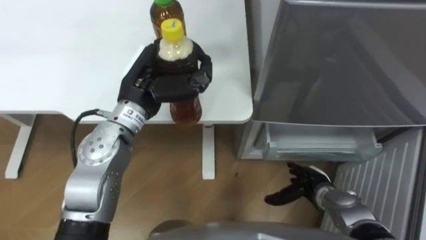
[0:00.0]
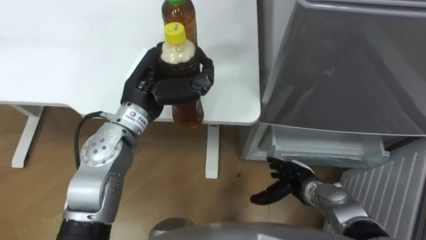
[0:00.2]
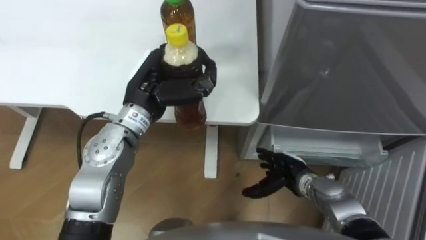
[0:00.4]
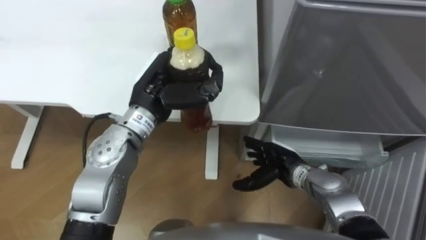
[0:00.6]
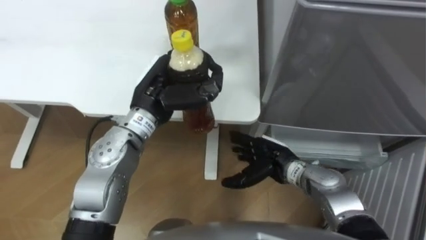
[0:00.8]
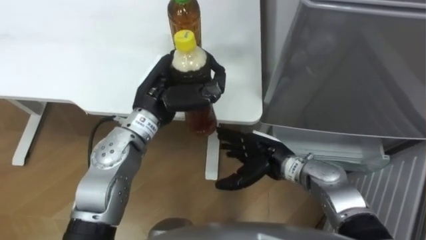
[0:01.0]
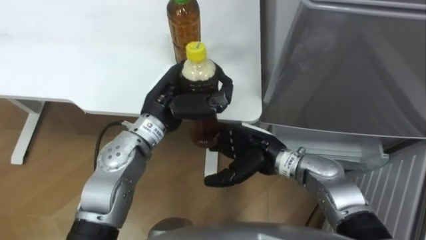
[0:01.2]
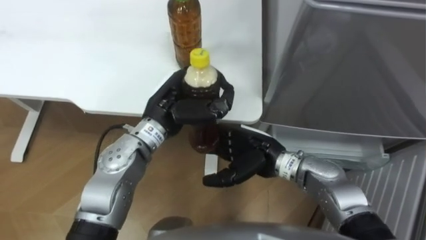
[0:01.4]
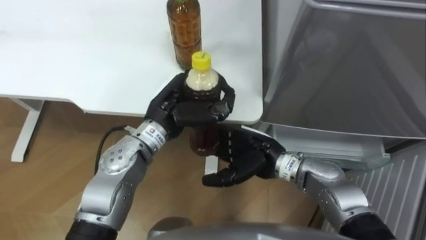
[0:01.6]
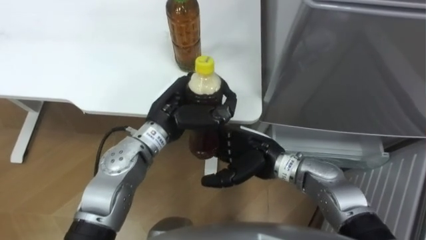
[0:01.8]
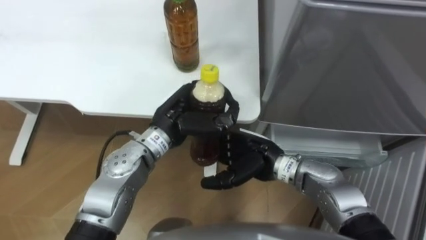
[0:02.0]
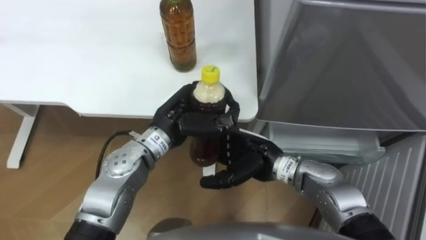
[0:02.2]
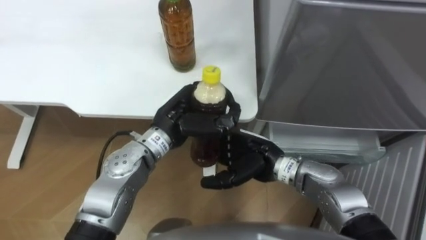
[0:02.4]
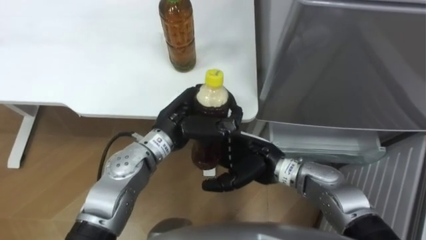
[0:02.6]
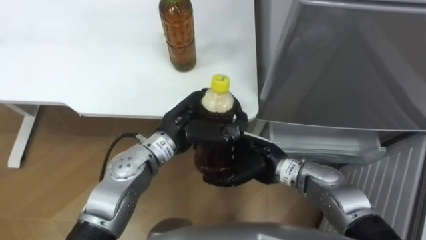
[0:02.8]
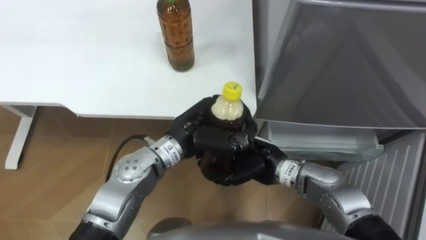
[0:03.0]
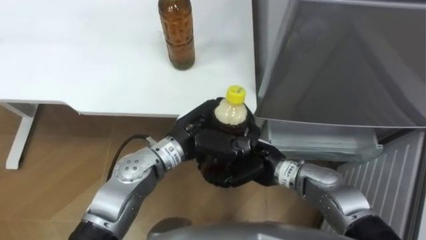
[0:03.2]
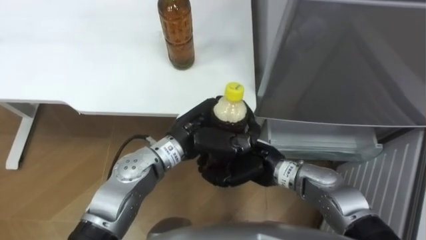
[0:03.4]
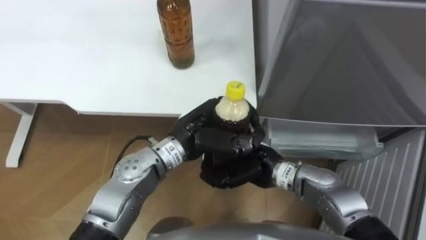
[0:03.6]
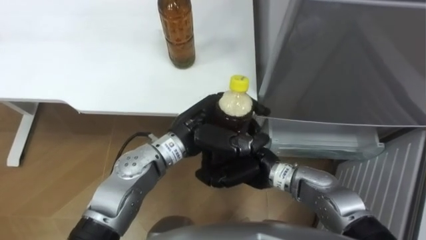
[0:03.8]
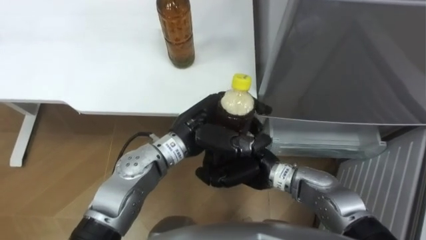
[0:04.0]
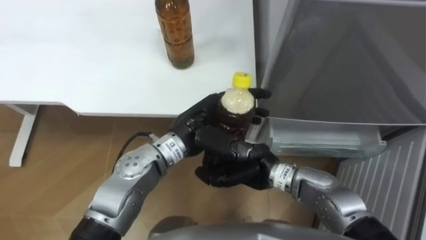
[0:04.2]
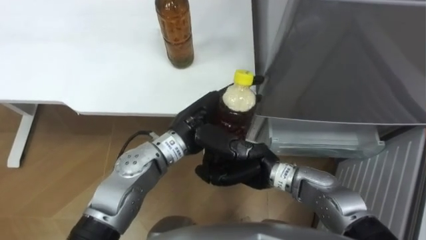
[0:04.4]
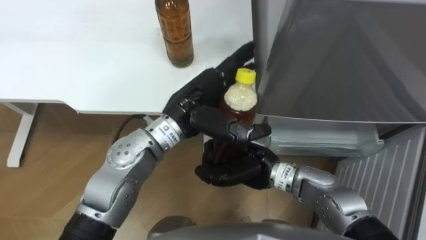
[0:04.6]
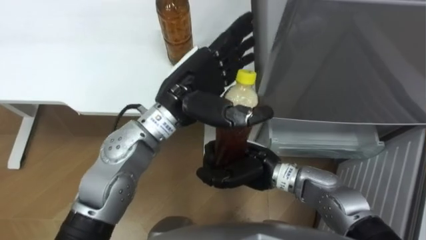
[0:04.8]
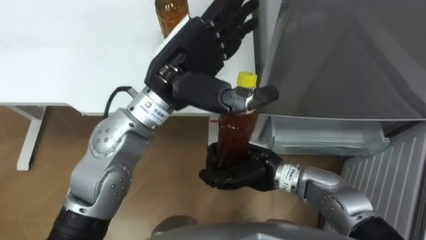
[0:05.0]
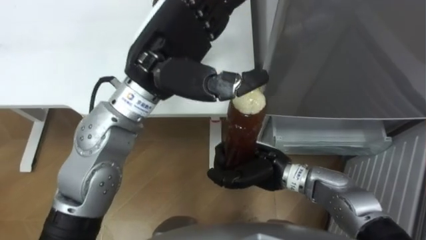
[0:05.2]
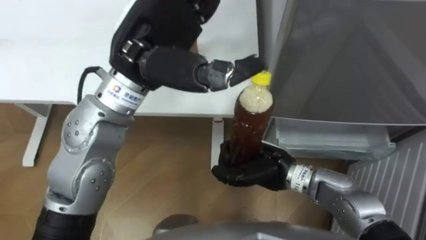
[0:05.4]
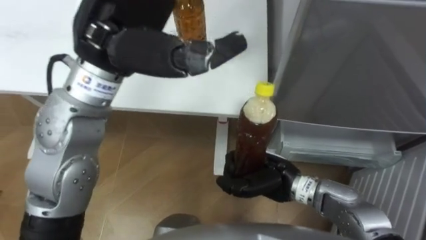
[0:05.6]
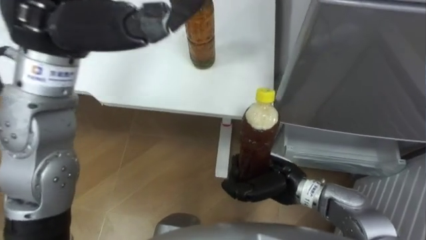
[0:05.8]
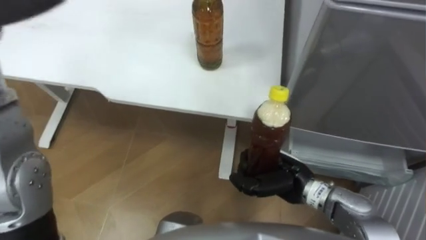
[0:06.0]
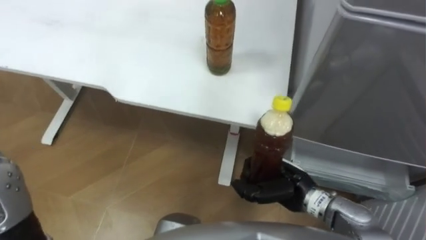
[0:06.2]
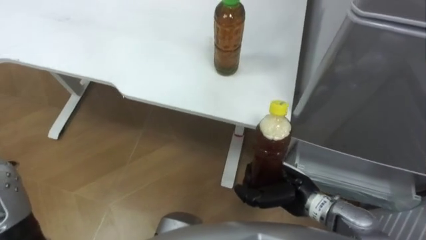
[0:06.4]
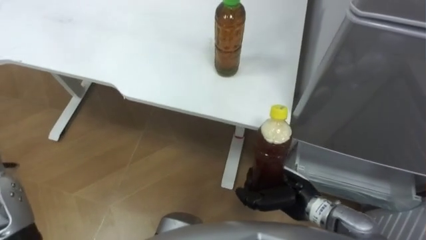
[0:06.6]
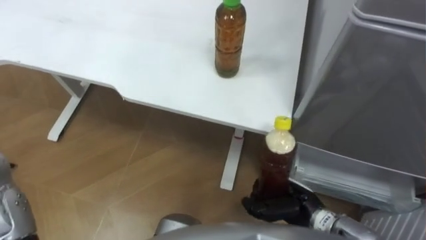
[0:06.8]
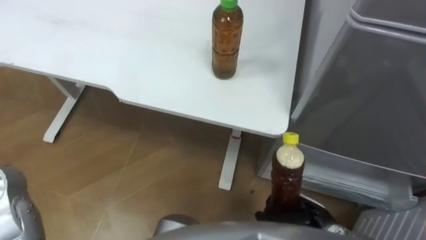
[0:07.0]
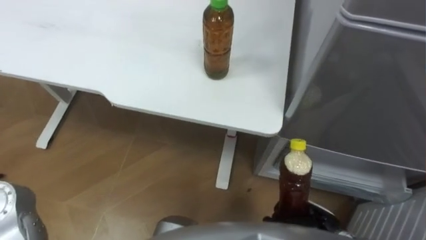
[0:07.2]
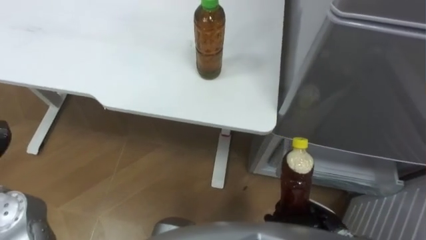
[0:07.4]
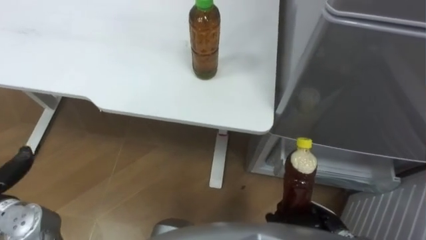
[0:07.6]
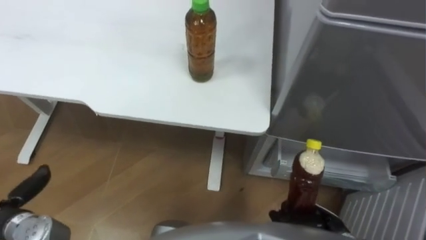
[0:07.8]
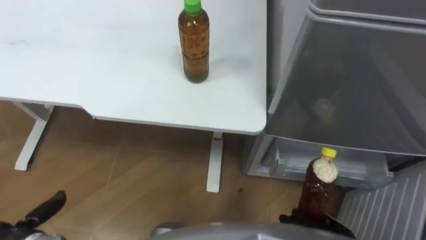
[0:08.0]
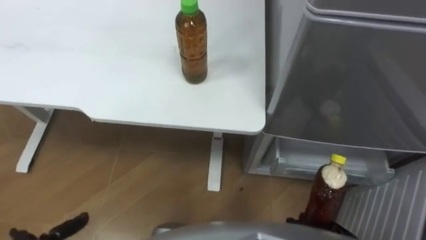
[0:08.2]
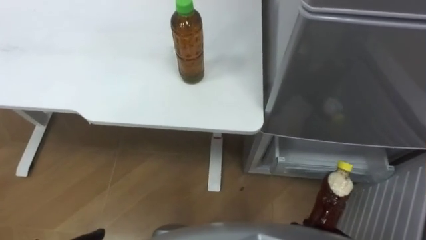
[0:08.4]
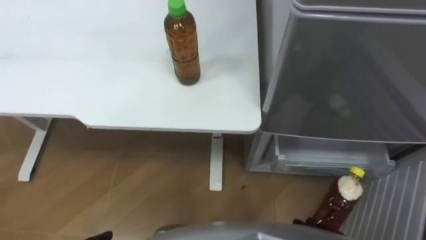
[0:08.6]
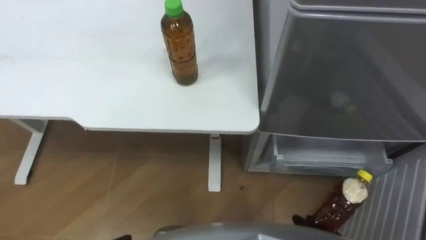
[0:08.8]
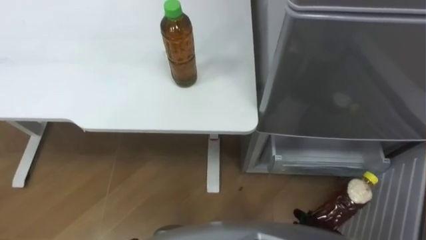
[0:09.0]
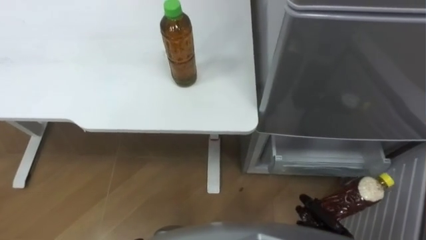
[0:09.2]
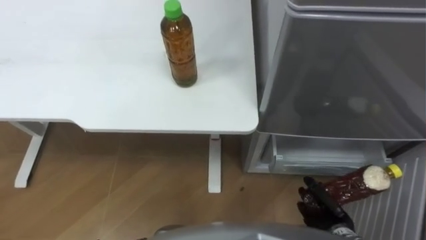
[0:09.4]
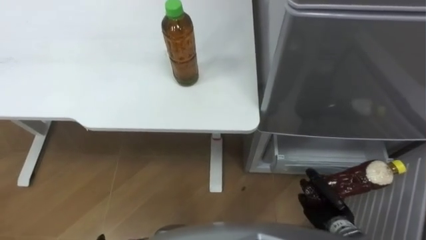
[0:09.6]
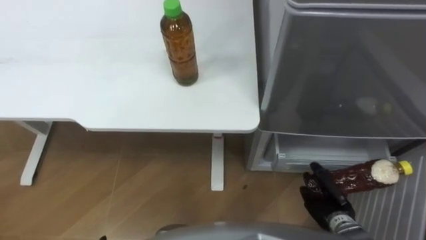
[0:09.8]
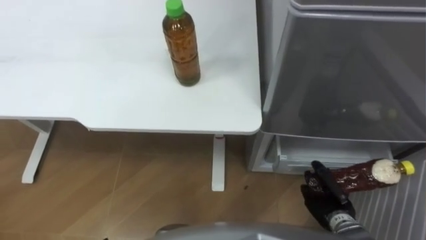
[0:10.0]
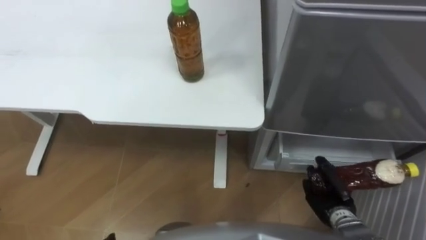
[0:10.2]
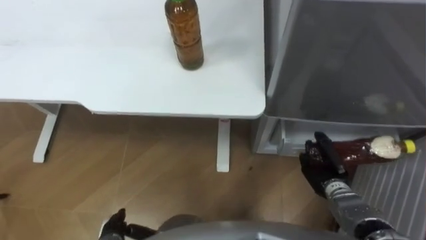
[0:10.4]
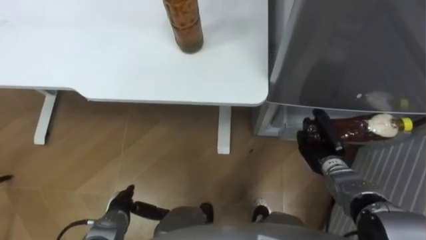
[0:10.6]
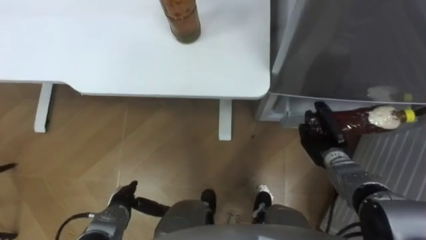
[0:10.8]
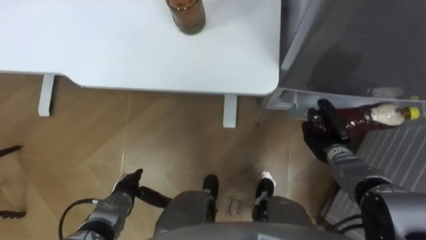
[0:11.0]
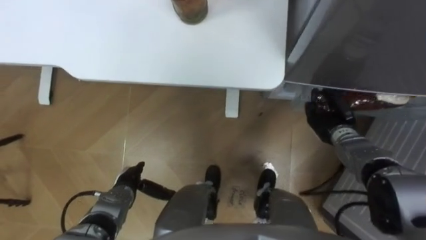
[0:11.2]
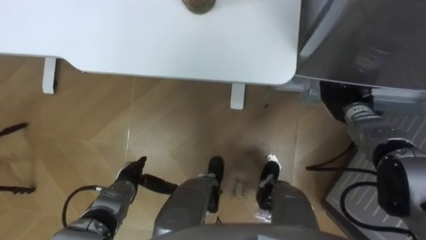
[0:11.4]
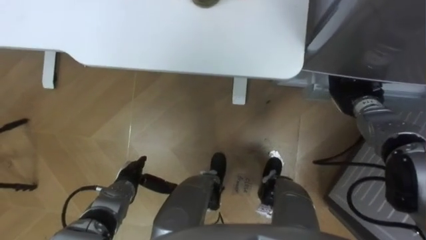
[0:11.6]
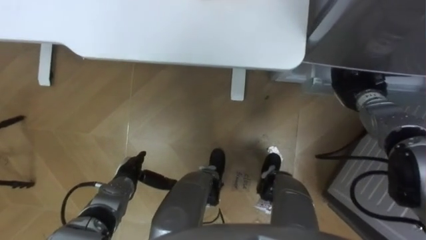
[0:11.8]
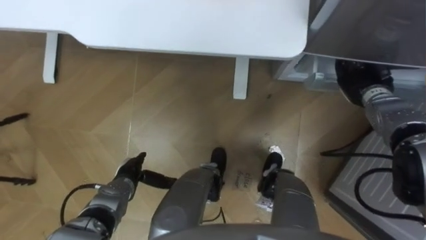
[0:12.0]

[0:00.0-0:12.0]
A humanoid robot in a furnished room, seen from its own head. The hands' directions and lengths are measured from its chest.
Task of the whole recording: Place the drink on the table on the bottom shelf of the refrigerator, then close the drawer and the refrigerator door.
0:00.0 to 0:01.6: The left hand ends up approximately 5 cm from where it was, while the right hand shifts approximately 20 cm to the left and upward.
0:01.6 to 0:03.0: The right hand closes up. Meanwhile the left hand ends up roughly 5 cm from where it was.
0:03.0 to 0:04.4: The left hand opens its fingers; the right hand closes.
0:04.4 to 0:06.0: The right hand goes approximately 5 cm to the right.
0:06.0 to 0:07.6: The right hand heads backward, downward and to the right, covering approximately 15 cm.
0:10.4 to 0:12.0: The right hand heads forward and upward, covering roughly 20 cm, while the left hand moves forward, approximately 15 cm.

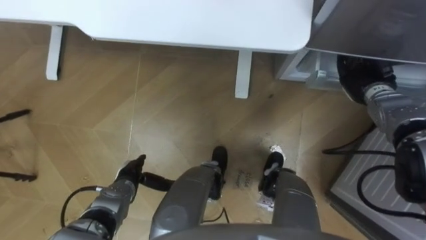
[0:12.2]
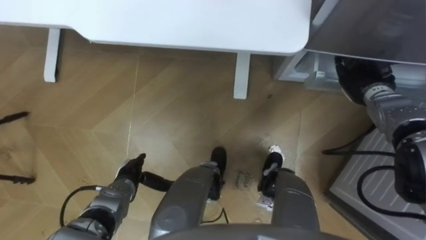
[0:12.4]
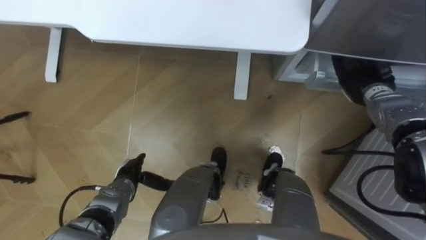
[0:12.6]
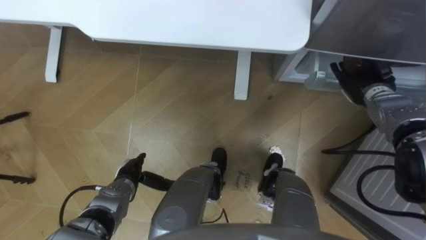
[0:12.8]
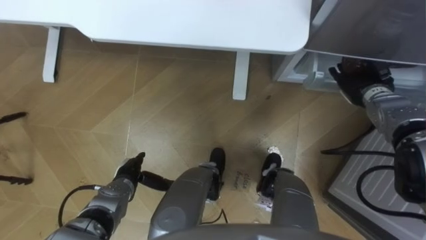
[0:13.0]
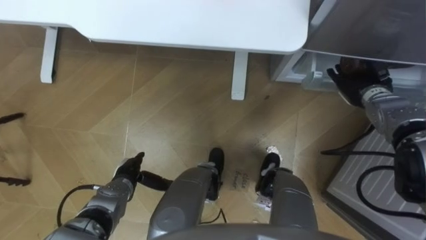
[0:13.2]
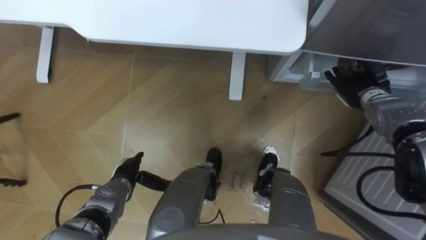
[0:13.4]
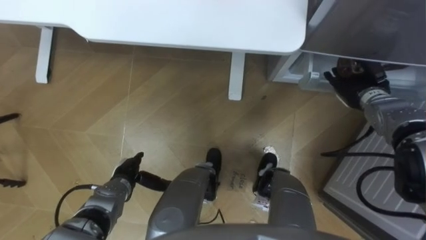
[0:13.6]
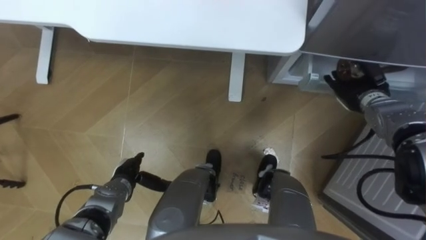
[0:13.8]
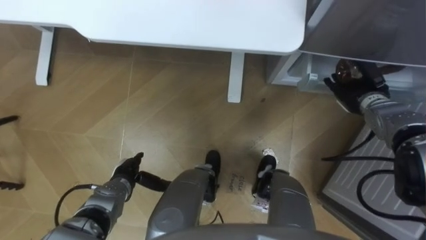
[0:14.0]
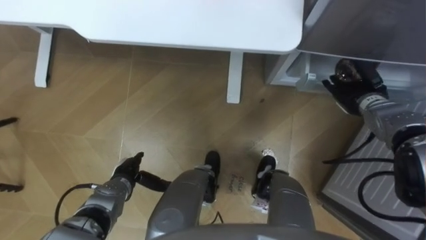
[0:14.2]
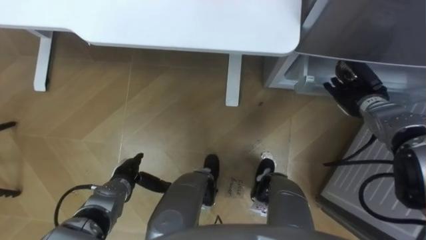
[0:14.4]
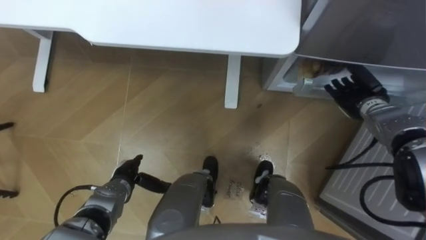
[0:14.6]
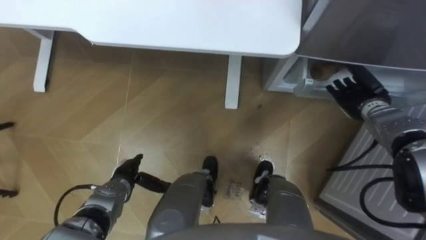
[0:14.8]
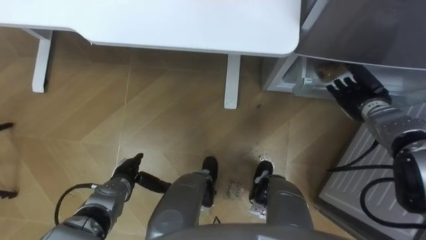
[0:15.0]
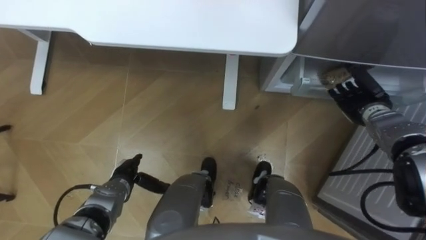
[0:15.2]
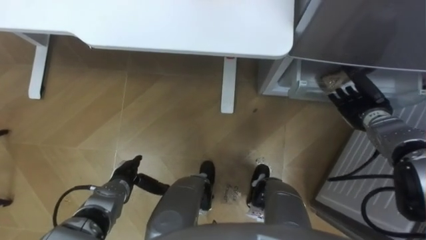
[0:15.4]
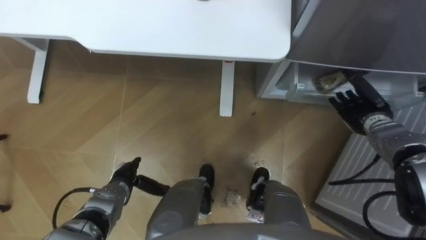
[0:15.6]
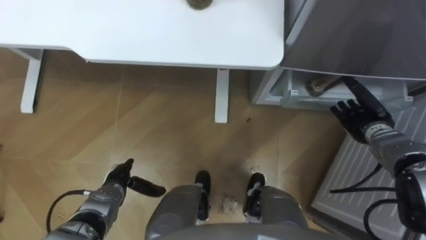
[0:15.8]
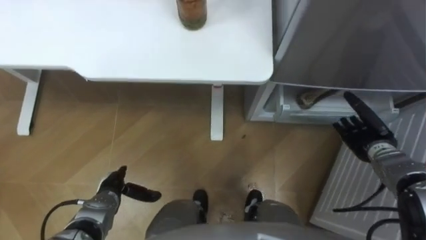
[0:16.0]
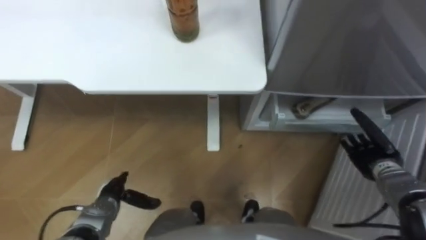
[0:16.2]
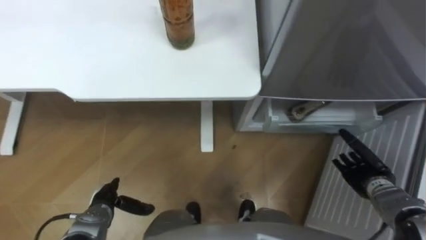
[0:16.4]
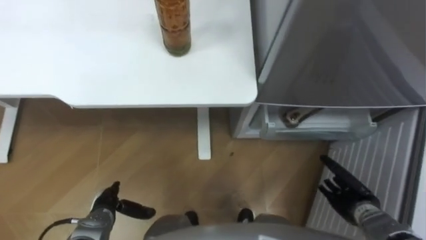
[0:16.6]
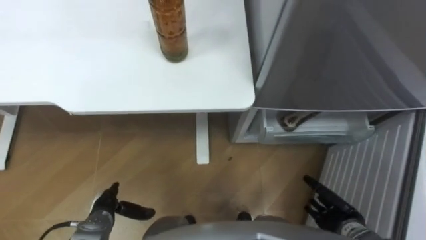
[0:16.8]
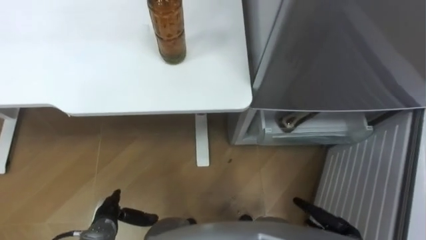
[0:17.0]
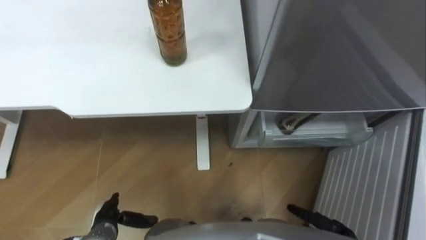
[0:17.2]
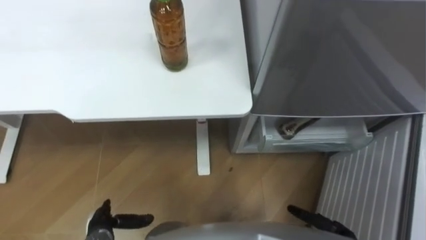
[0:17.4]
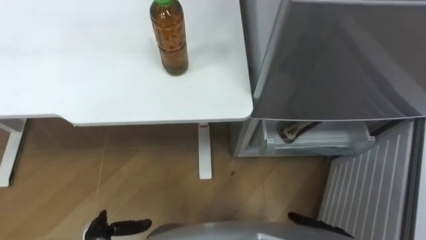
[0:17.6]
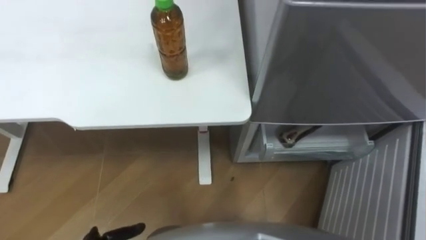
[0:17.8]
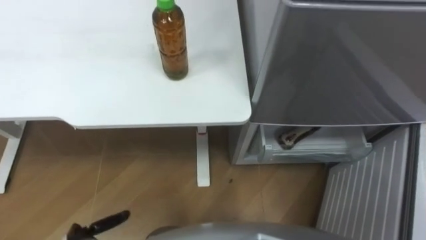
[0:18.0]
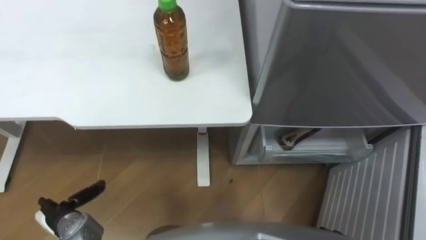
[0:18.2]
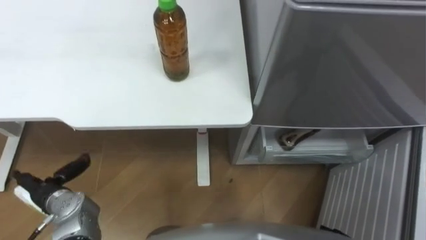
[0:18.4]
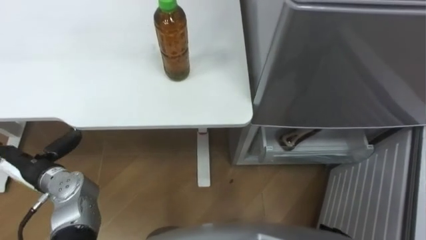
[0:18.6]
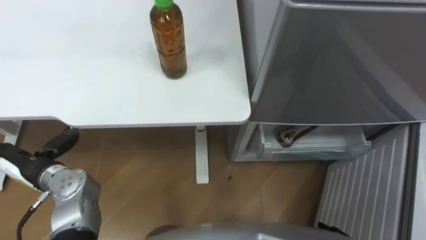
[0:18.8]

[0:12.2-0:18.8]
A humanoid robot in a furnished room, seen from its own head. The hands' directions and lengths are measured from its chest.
Task of the whole recording: Place the drink on the table on the bottom shelf of the refrigerator, then close the drawer and the refrigerator door.
0:12.2 to 0:13.8: The right hand opens.
0:15.4 to 0:17.2: The right hand travels backward and downward by about 30 cm; the left hand travels backward by about 10 cm.
